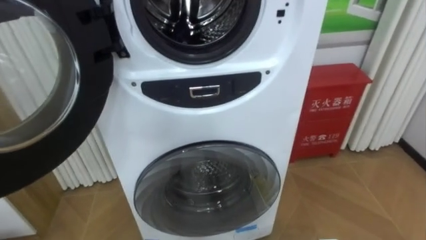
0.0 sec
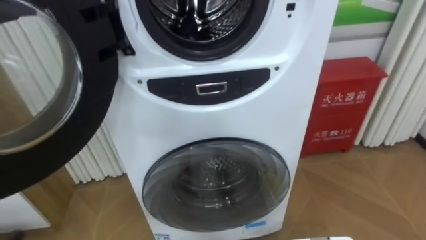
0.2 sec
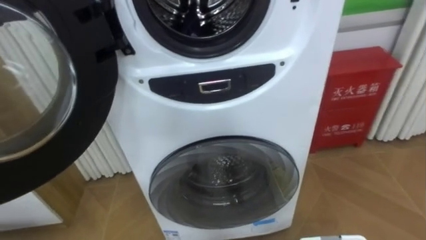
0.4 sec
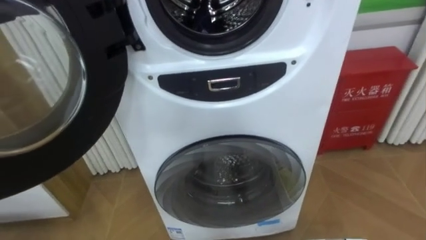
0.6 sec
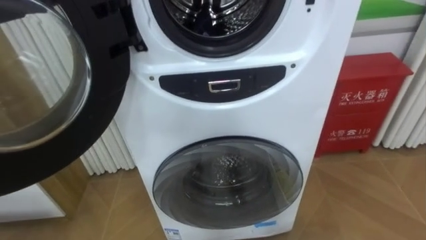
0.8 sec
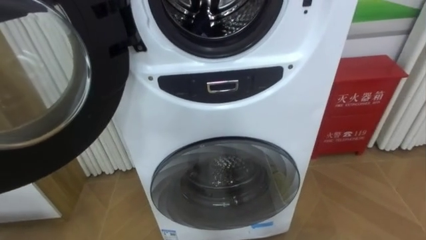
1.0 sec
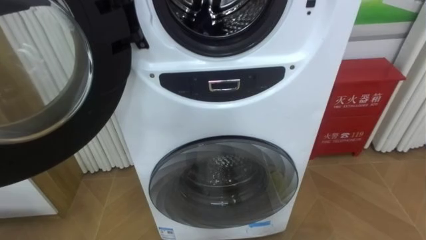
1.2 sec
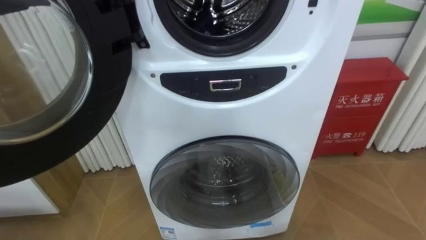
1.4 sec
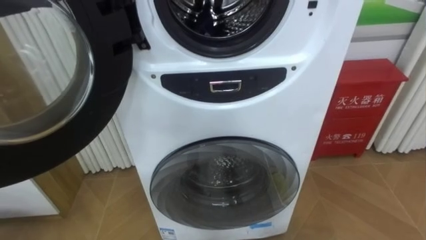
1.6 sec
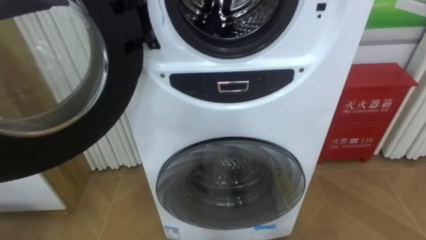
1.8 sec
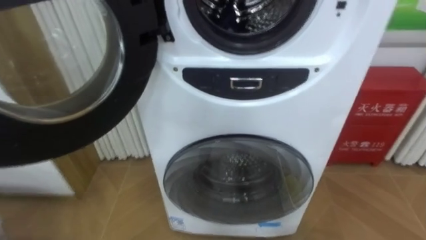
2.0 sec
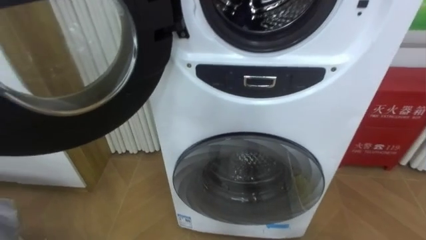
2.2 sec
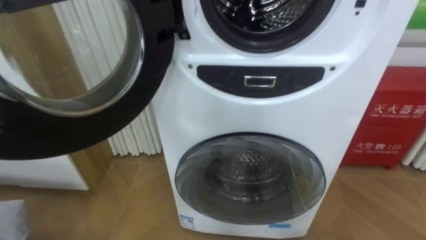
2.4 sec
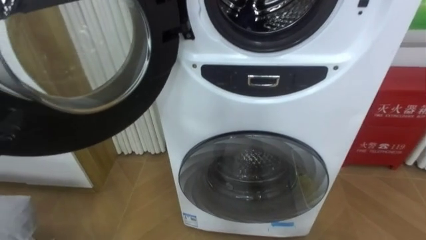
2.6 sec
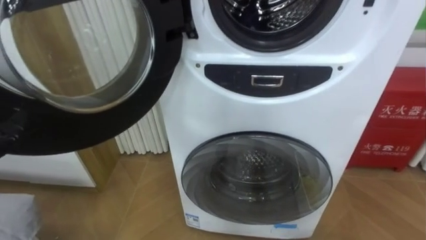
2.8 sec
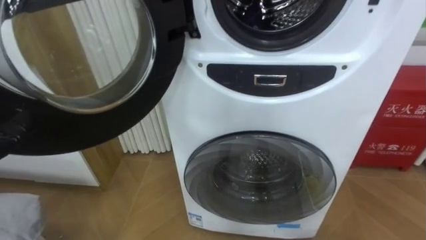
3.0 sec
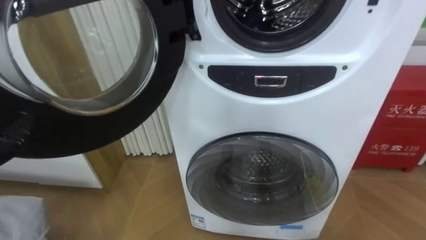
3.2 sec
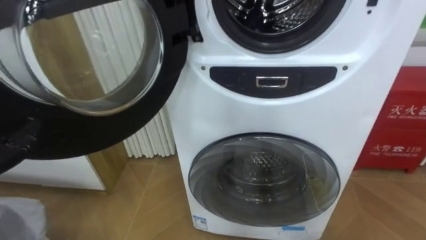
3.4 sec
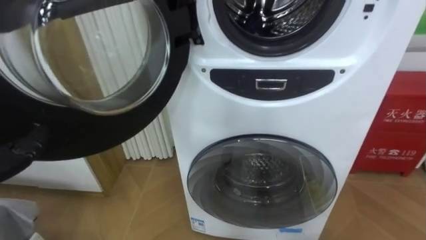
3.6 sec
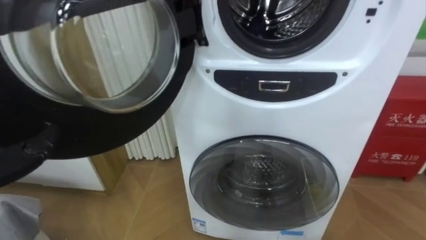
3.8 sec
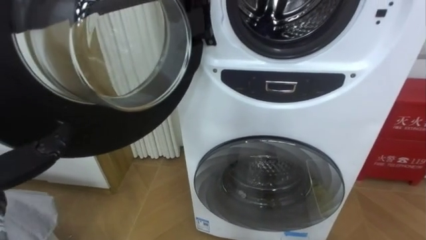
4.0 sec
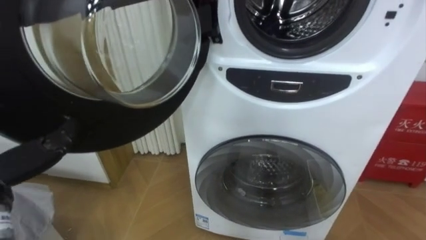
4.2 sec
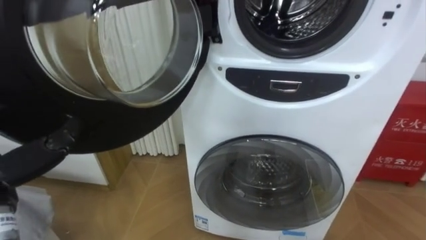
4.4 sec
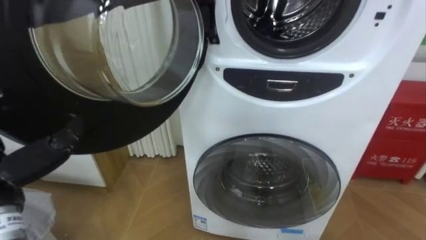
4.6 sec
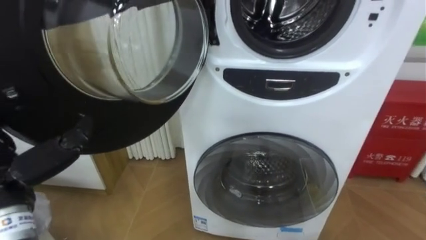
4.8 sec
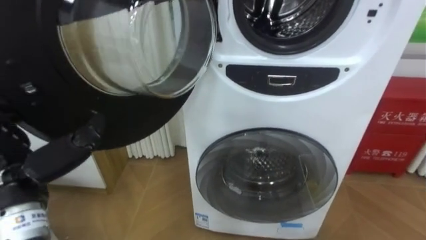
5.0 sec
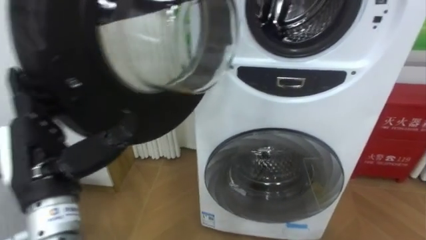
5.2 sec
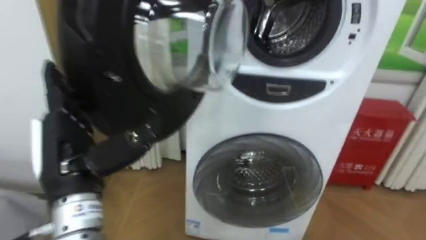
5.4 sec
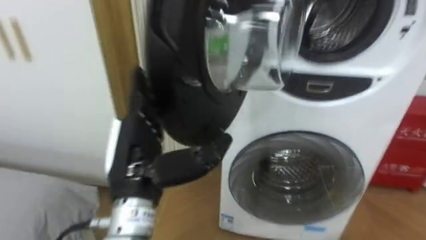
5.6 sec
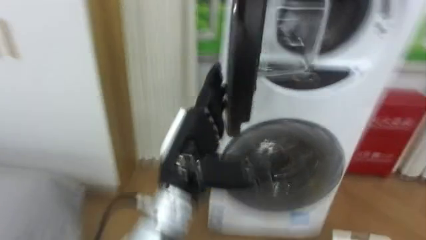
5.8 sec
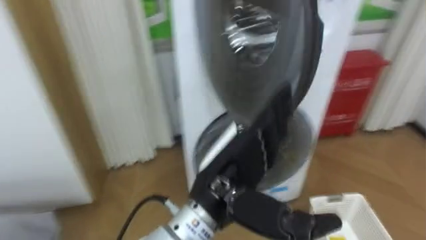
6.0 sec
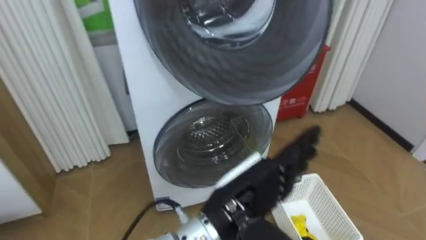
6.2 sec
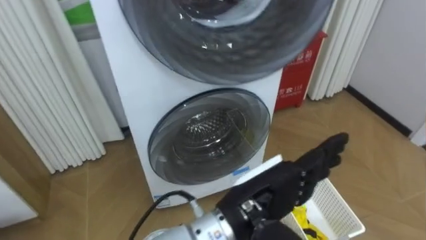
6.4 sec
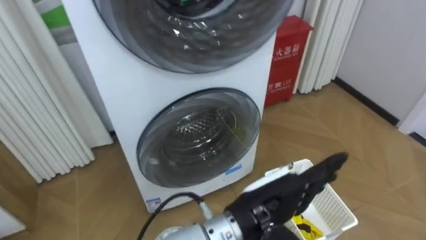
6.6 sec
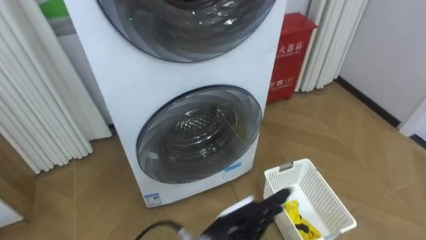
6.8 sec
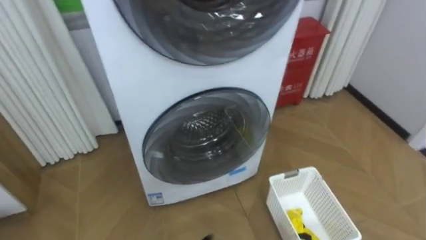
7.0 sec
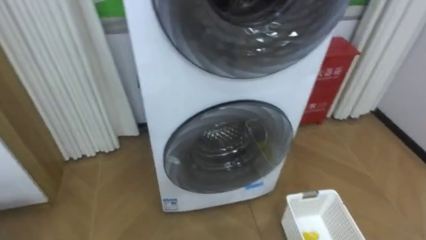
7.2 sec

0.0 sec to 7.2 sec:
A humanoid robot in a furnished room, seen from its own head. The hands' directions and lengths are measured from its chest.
Task of the whole recording: Open the washing machine door, take out the yellow clothes, place them in the box on the right, and close the washing machine door.
5.8 sec to 7.2 sec: The robot's body swings about 15 degrees to its right.

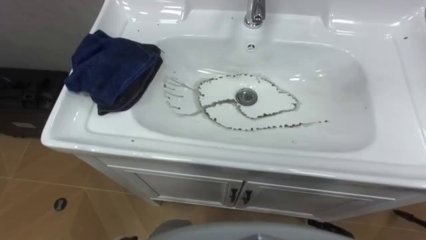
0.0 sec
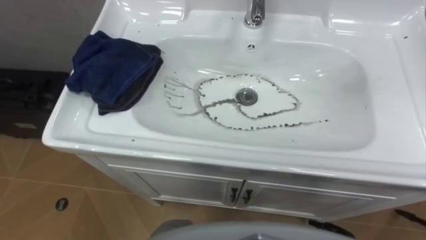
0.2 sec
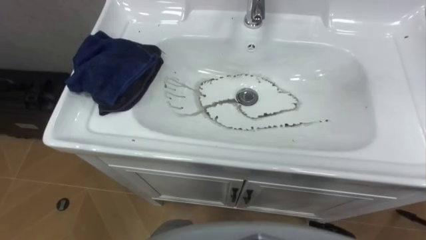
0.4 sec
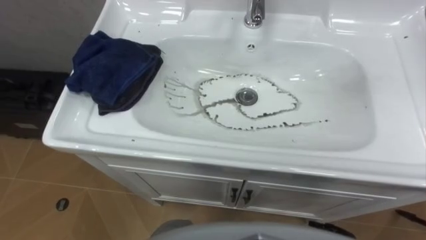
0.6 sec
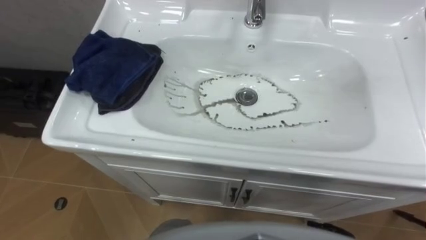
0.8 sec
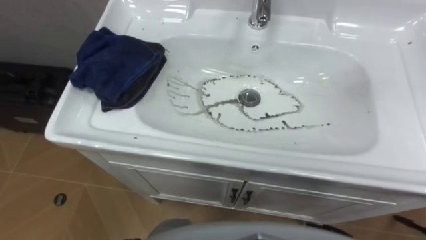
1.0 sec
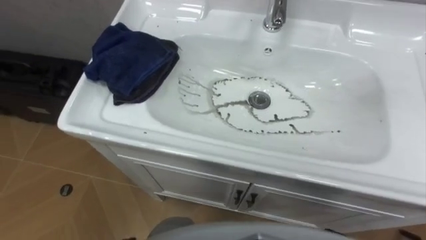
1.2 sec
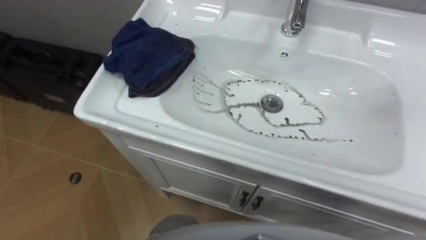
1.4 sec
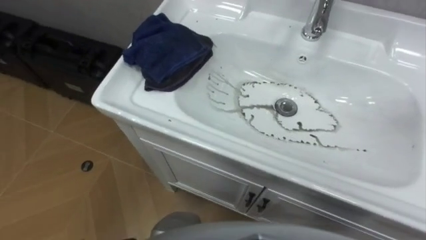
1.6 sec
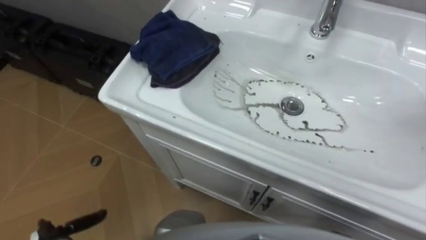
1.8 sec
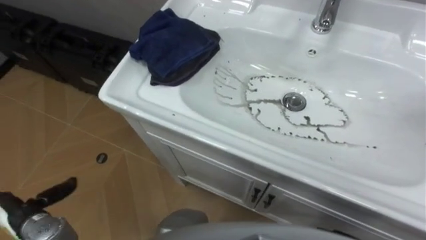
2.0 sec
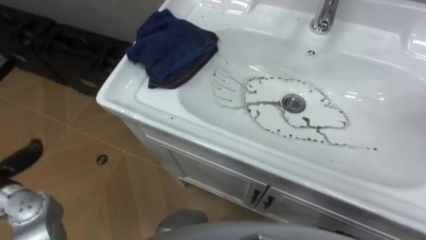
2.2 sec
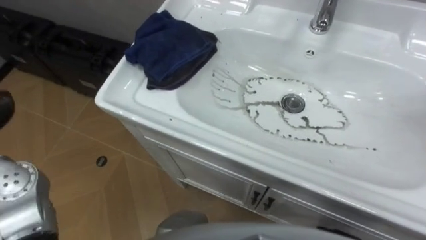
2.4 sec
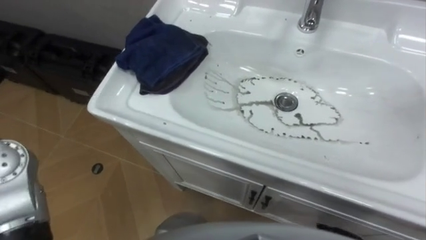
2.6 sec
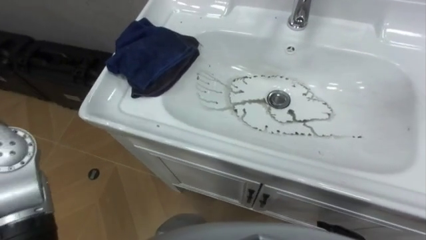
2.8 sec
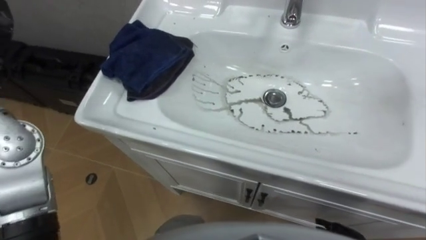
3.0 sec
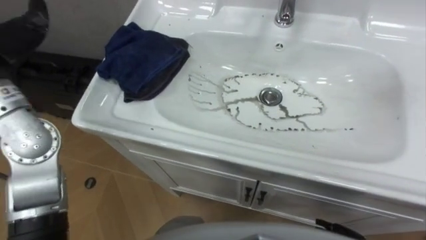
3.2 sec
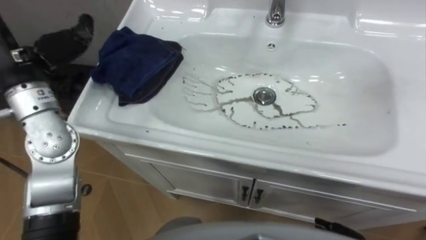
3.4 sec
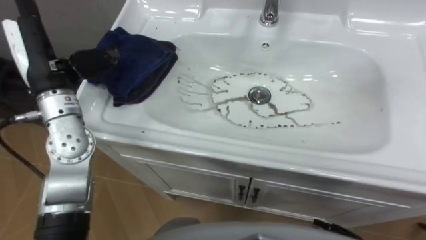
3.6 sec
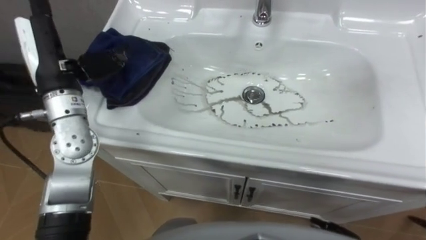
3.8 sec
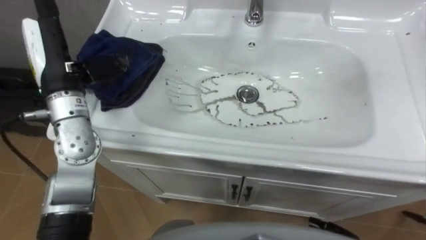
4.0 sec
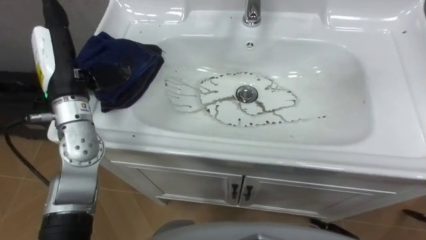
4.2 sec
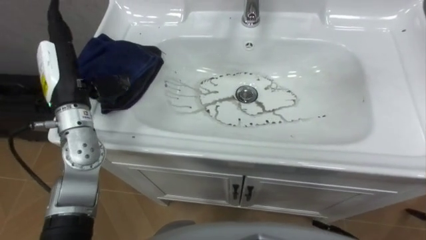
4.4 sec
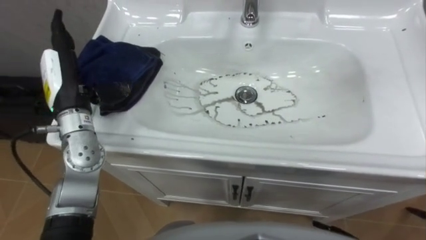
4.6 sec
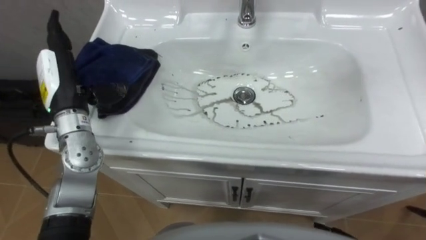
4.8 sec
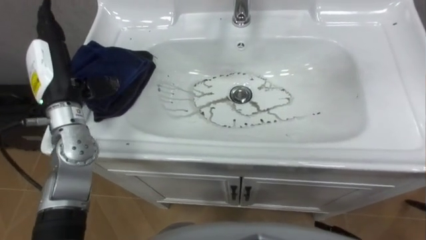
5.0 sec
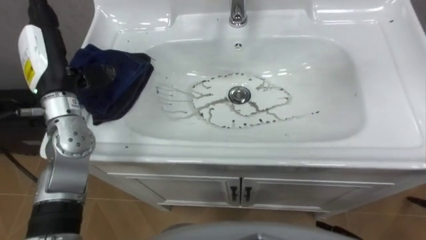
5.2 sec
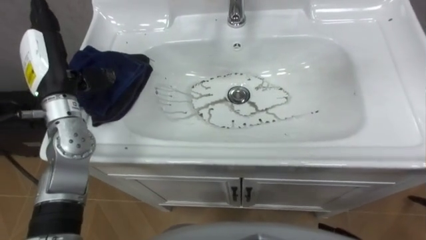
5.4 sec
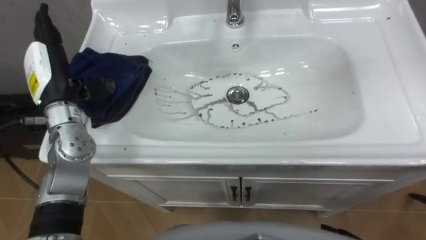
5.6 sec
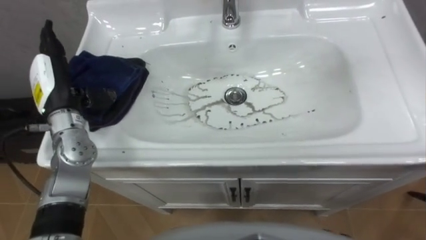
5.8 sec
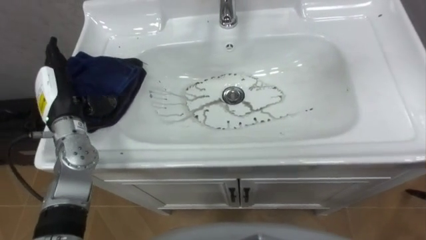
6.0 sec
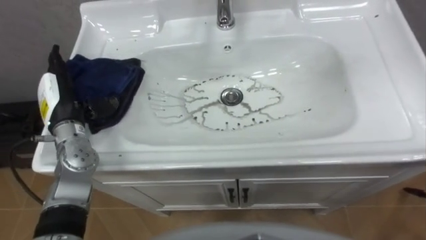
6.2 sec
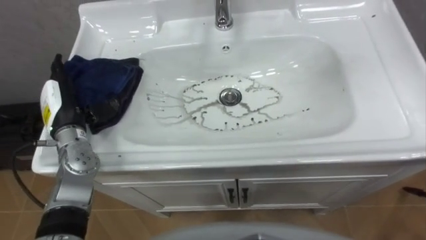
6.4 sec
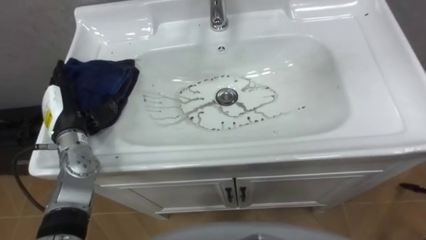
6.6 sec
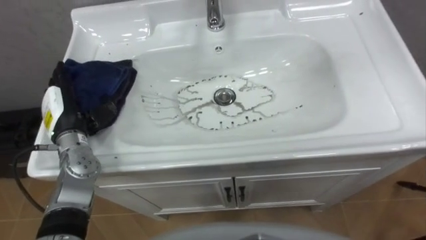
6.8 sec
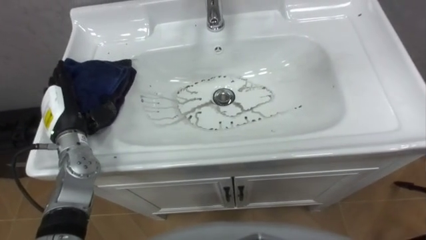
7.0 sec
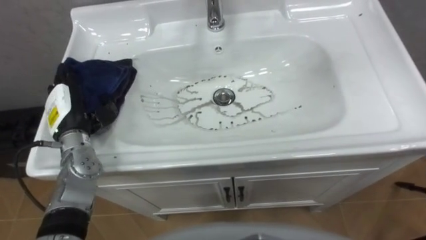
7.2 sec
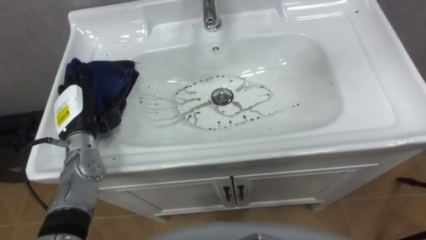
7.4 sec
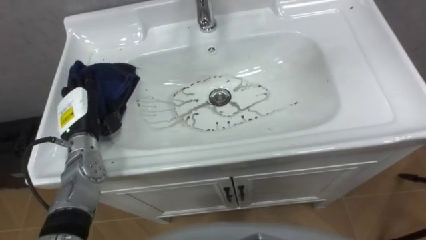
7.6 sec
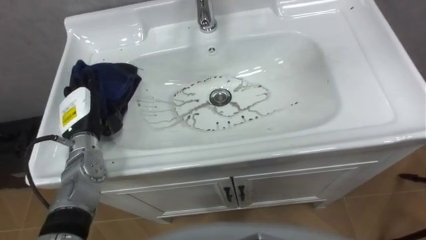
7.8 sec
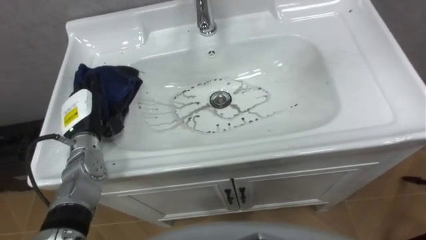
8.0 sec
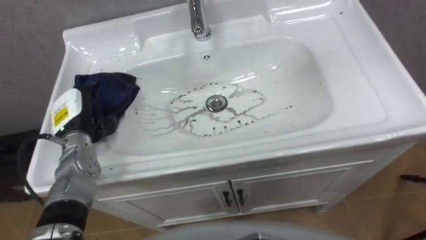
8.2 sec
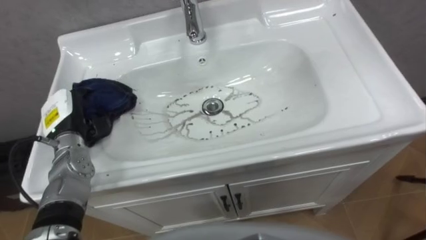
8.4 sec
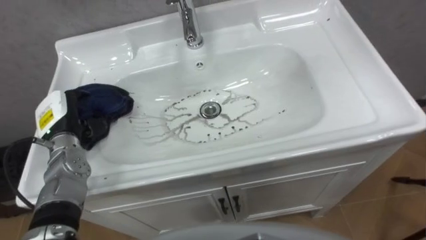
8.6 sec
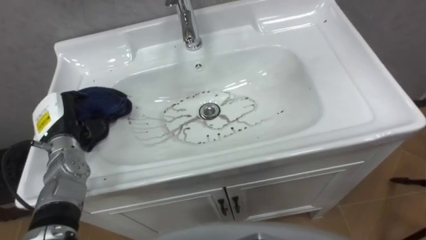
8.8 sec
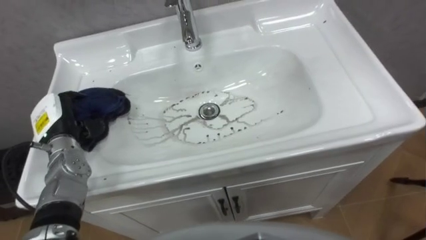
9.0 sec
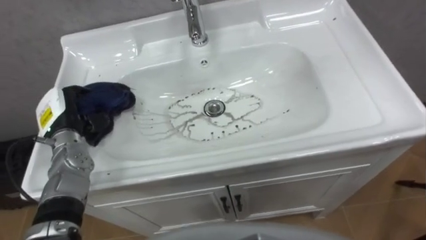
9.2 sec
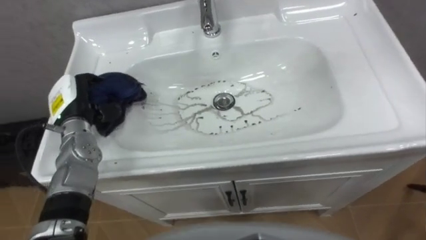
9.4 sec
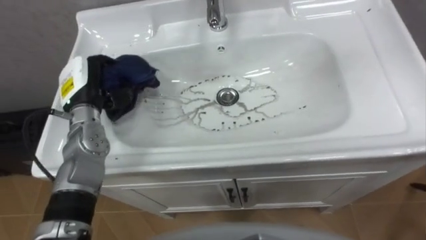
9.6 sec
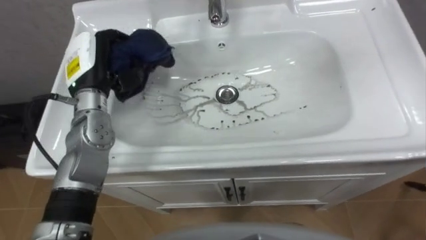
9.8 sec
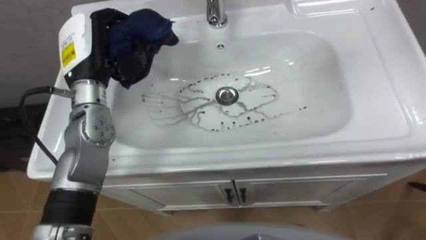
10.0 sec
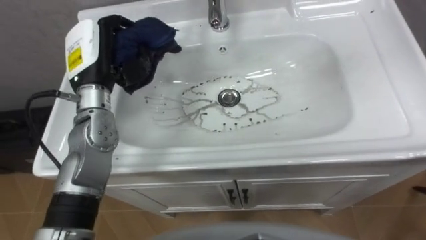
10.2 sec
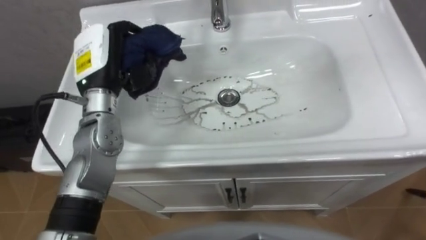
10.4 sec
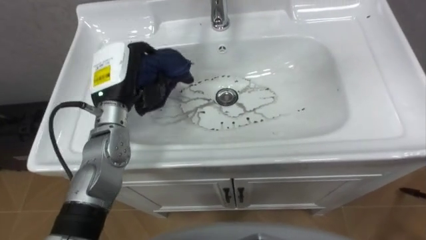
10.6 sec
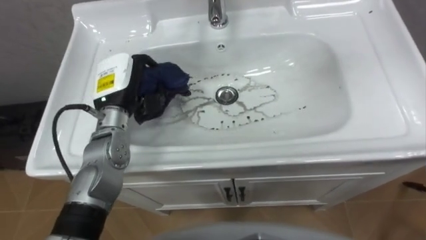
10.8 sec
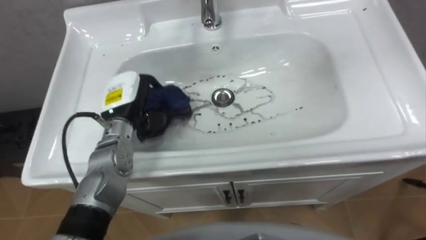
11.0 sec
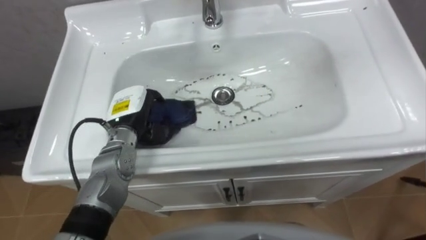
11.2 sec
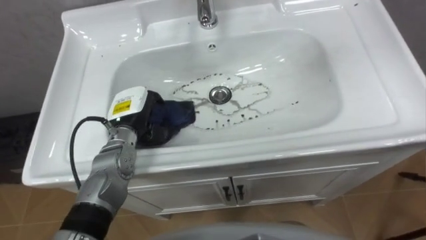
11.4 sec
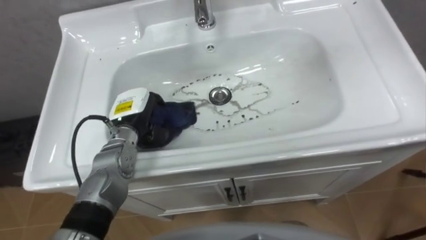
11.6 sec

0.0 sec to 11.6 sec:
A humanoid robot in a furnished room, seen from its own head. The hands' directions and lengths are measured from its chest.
Task of the whole recording: Use the cloth on the right to wipe away the black stain in the sink.
5.8 sec to 7.2 sec: The left hand is displaced downward by roughly 5 cm.
7.2 sec to 8.8 sec: The left hand closes up.
8.8 sec to 10.2 sec: The left hand goes approximately 20 cm upward, to the right and forward.
10.2 sec to 11.6 sec: The left hand travels downward by about 15 cm.
